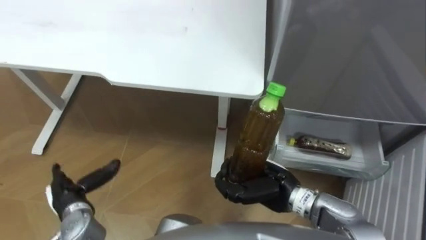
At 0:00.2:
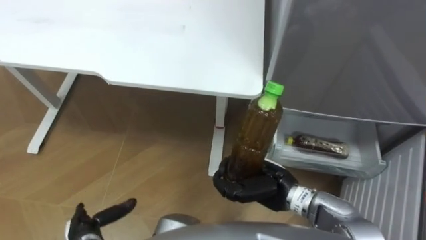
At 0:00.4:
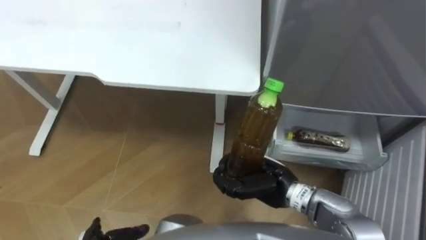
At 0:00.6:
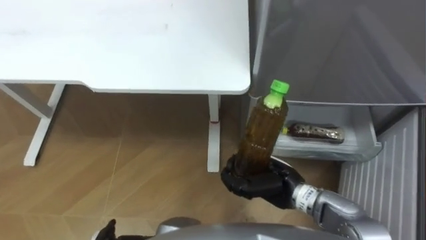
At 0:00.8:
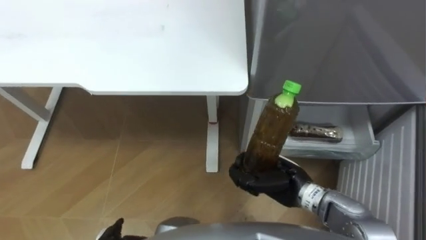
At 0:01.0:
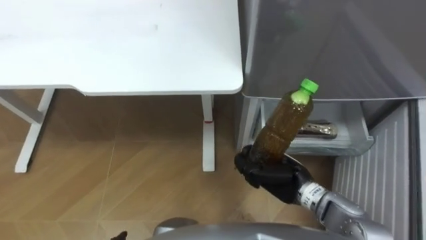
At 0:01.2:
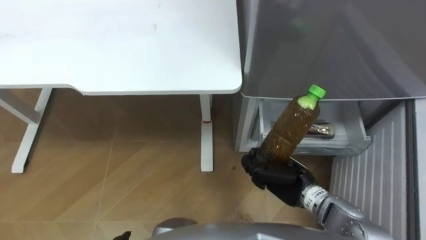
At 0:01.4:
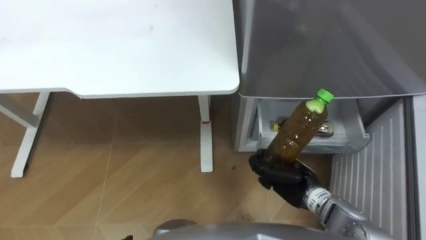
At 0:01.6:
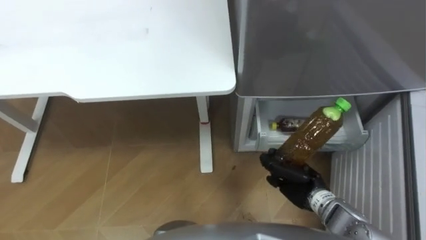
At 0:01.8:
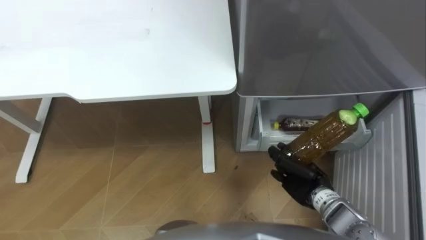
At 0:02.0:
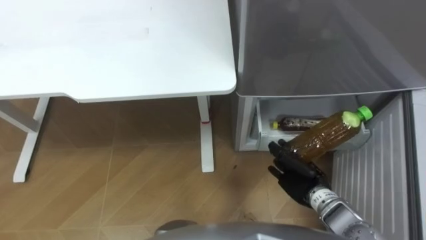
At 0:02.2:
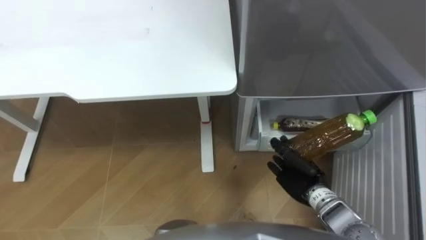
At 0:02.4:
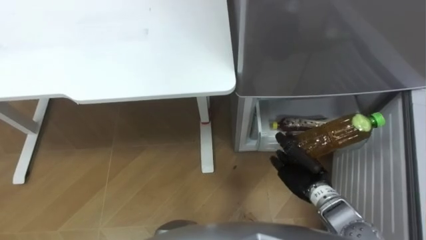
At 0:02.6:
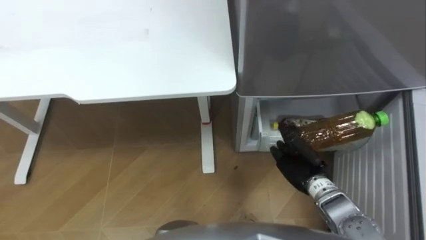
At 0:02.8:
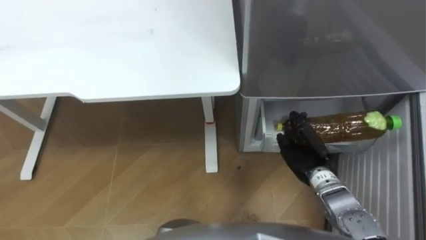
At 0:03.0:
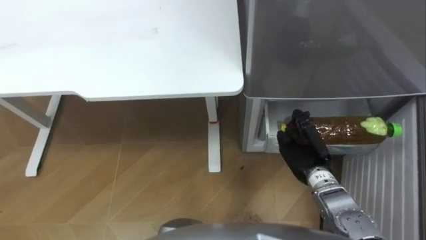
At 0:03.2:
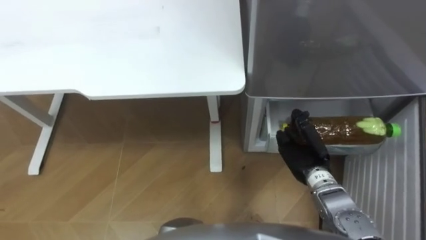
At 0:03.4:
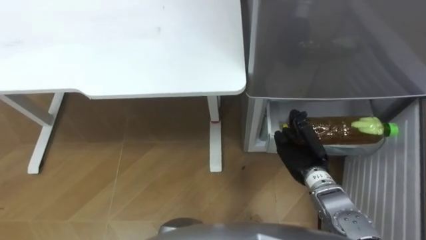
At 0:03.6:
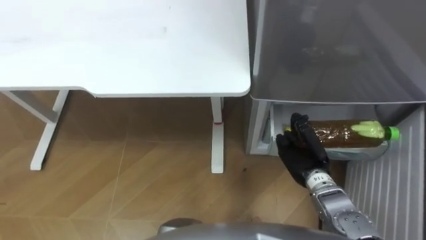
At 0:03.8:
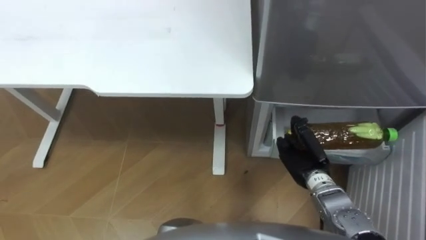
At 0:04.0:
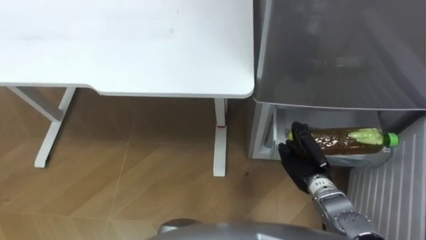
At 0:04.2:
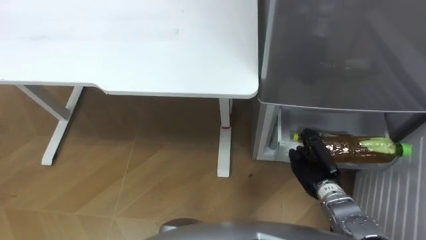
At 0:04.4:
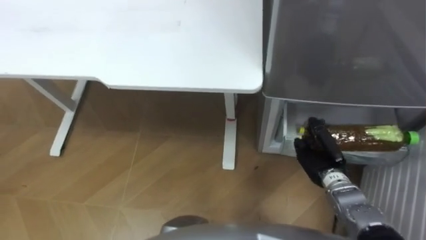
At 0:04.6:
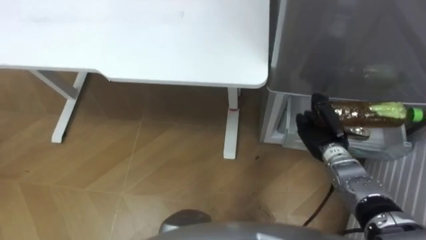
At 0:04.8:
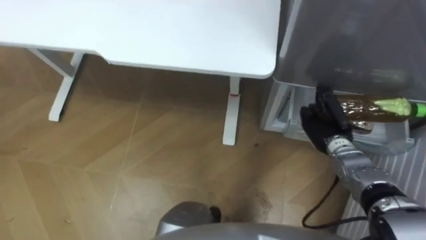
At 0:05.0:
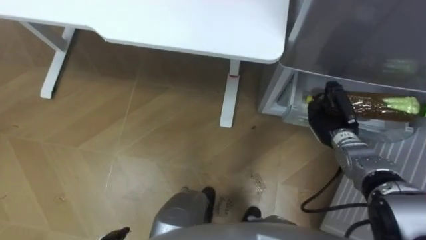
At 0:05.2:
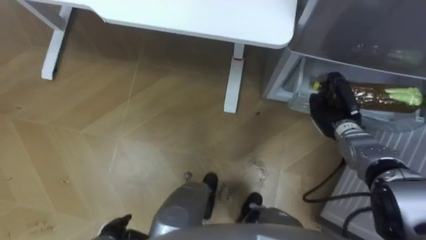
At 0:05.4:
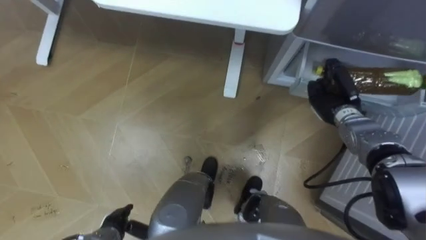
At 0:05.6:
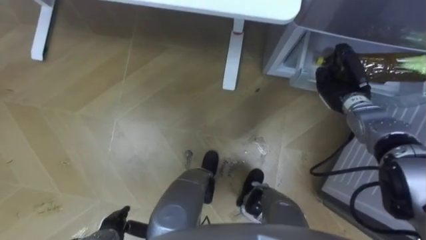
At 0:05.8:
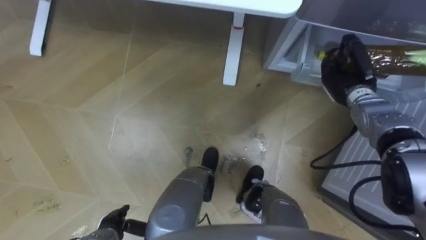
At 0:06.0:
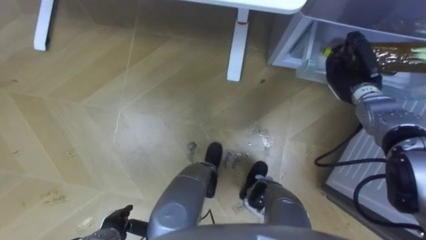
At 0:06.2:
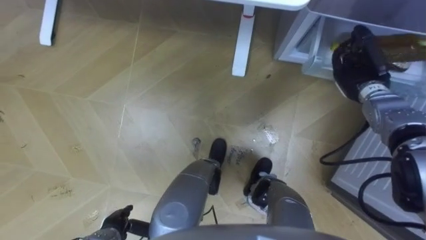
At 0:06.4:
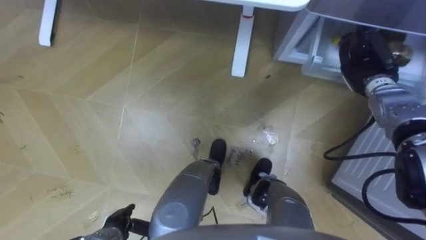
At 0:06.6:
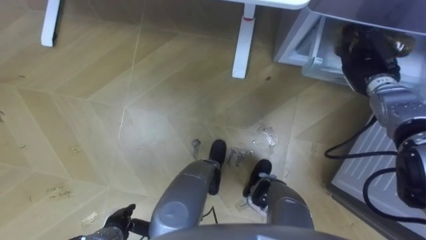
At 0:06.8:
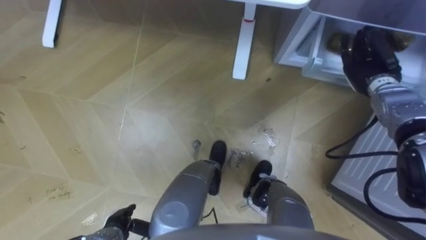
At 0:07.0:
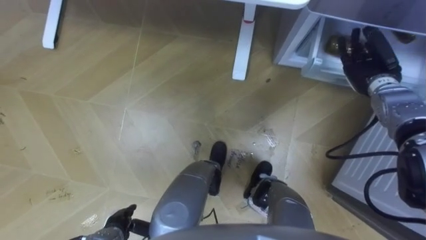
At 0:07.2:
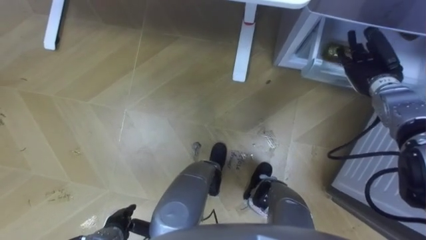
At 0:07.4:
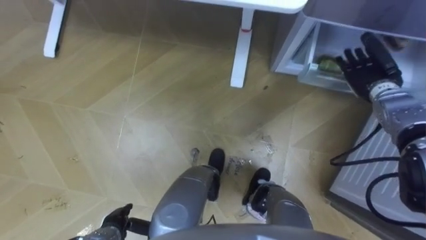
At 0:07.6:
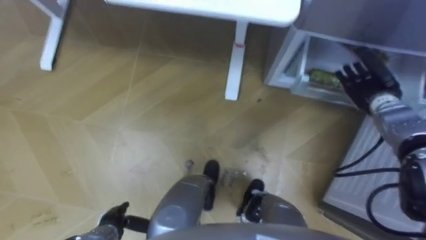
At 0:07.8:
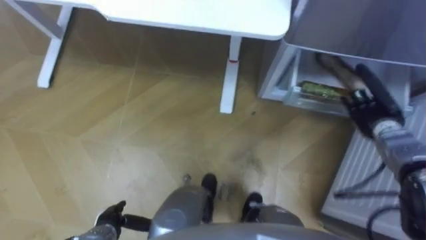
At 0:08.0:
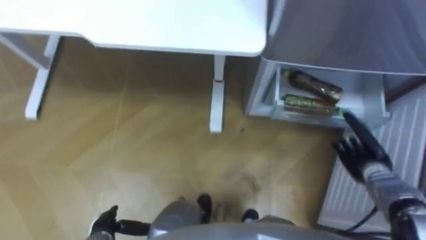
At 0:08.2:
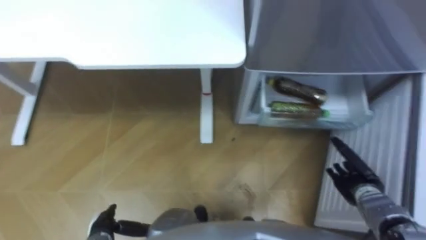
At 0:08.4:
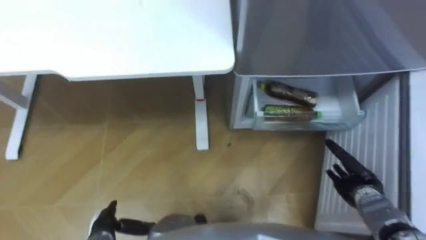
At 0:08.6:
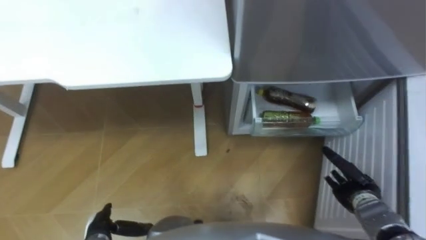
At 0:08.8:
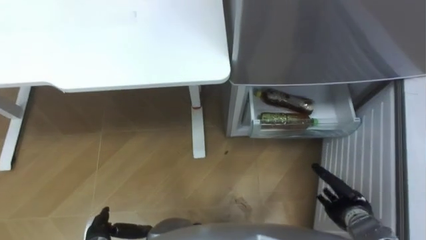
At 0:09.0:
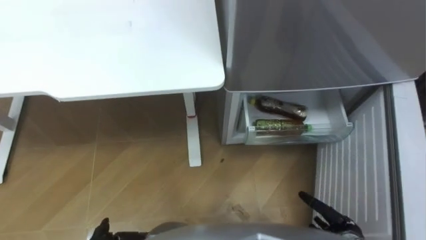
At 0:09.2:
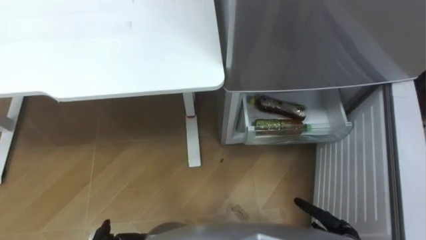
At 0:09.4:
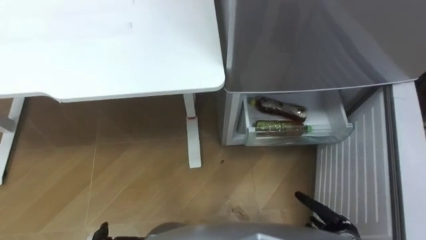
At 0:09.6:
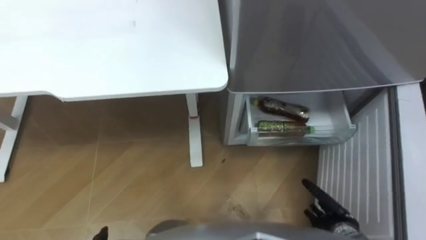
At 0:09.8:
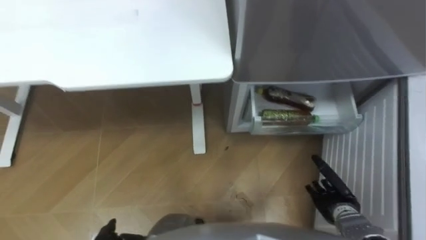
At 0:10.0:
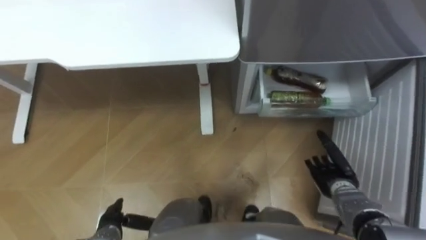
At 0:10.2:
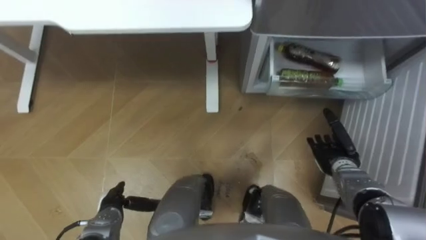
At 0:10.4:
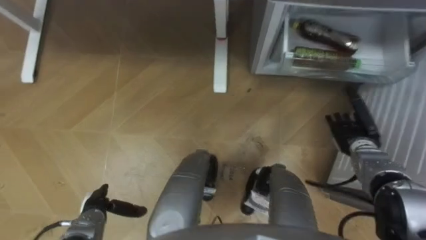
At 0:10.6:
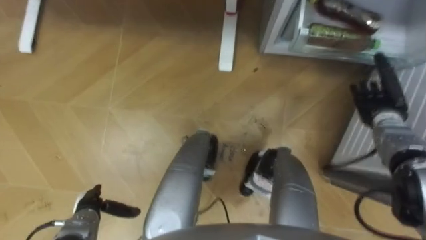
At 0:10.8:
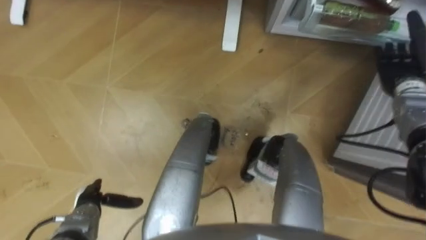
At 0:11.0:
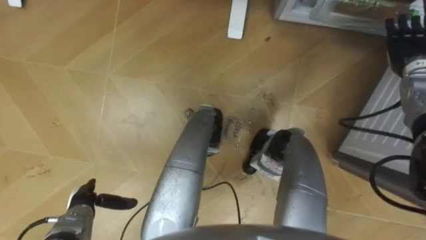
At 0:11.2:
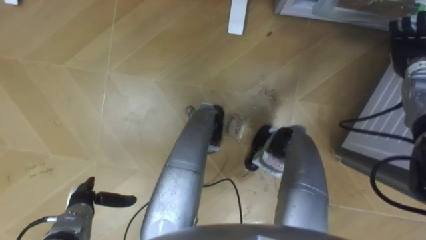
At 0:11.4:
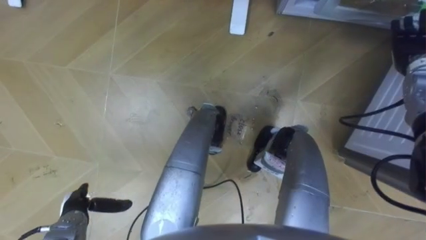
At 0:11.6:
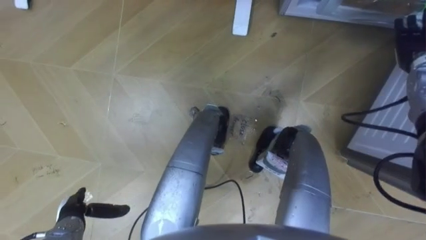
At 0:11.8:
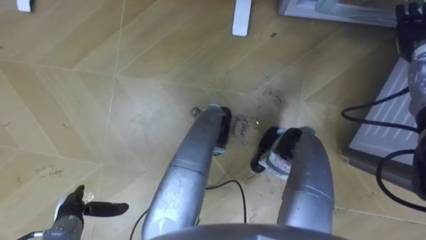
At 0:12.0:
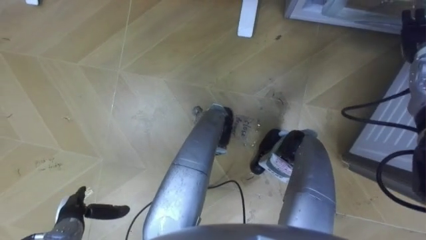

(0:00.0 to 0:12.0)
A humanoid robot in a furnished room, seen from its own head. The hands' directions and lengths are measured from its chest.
Task of the whole recording: Place the drink on the table on the bottom shelf of the refrigerator, then close the drawer and the refrigerator door.
0:00.0 - 0:01.6: The right hand shifts roughly 10 cm to the right and downward.
0:01.6 - 0:03.0: The right hand shifts by approximately 5 cm.
0:04.4 - 0:06.0: The right hand moves forward and upward, some 20 cm.
0:06.0 - 0:07.6: The right hand opens.
0:07.6 - 0:09.0: The right hand shifts some 30 cm backward and downward.
0:09.0 - 0:10.4: The right hand is displaced forward and upward by some 20 cm.
0:10.4 - 0:12.0: The right hand moves upward, forward and to the right, some 25 cm.

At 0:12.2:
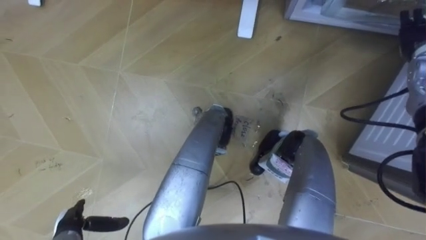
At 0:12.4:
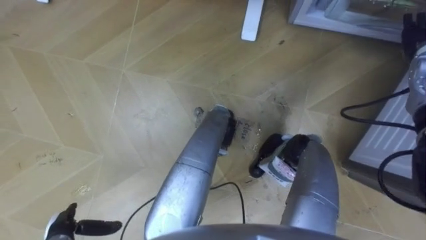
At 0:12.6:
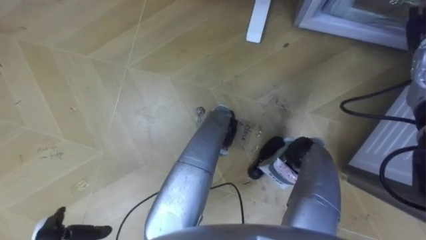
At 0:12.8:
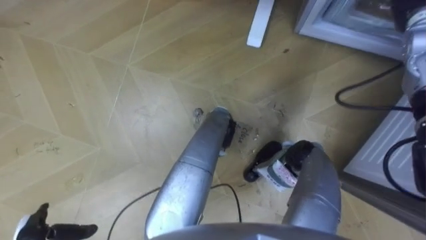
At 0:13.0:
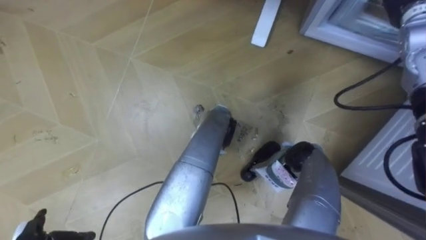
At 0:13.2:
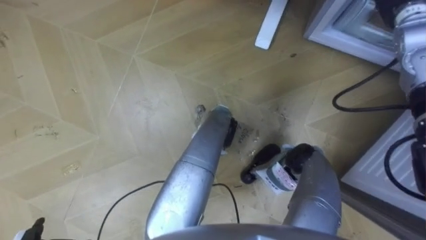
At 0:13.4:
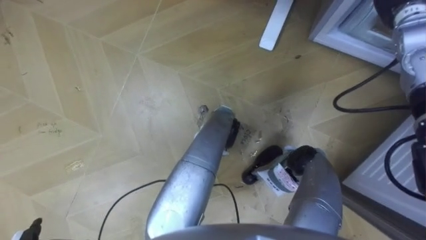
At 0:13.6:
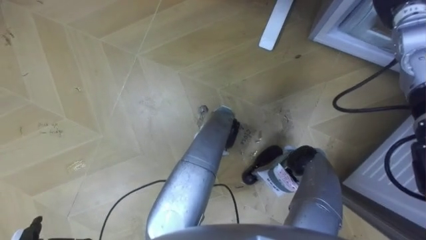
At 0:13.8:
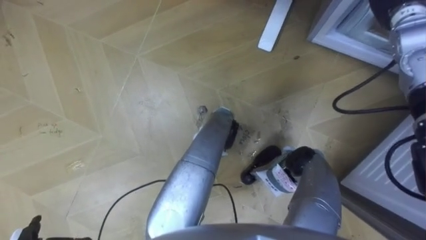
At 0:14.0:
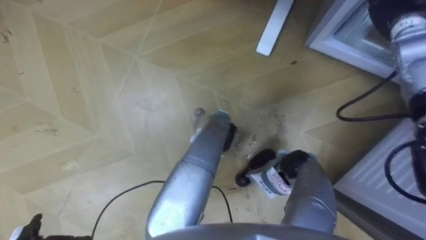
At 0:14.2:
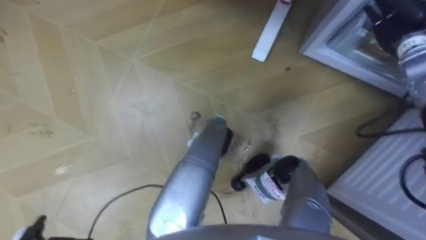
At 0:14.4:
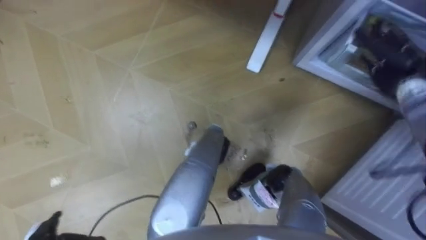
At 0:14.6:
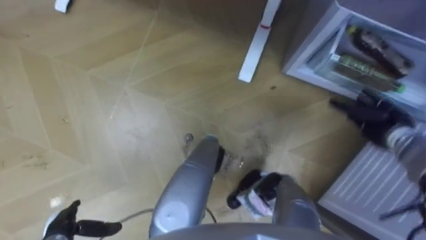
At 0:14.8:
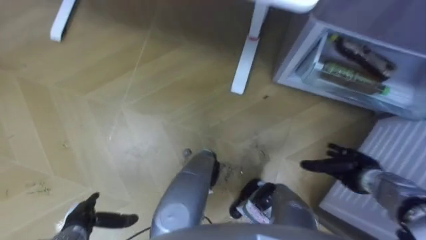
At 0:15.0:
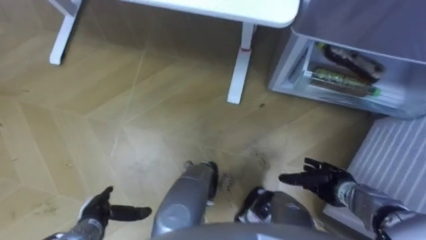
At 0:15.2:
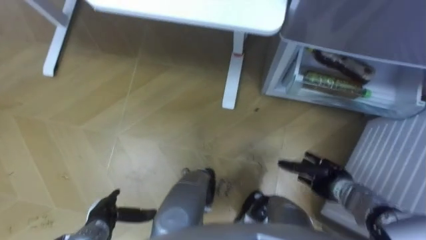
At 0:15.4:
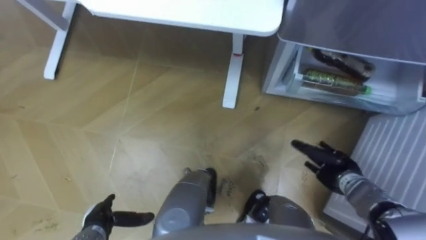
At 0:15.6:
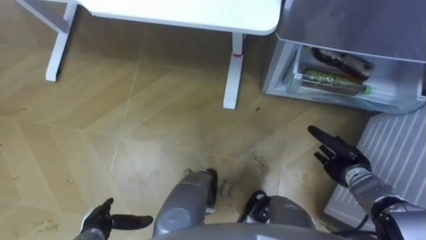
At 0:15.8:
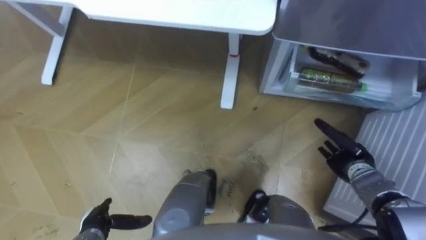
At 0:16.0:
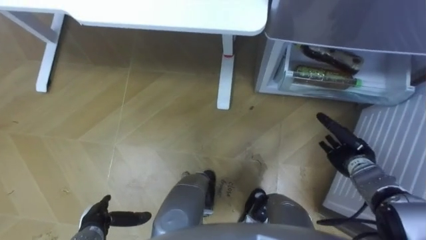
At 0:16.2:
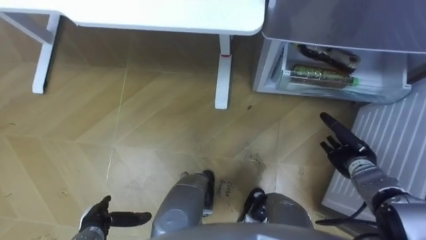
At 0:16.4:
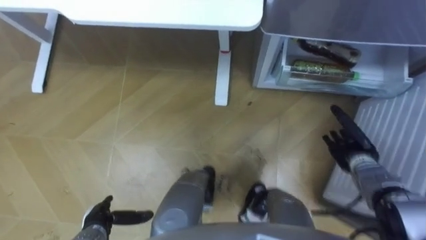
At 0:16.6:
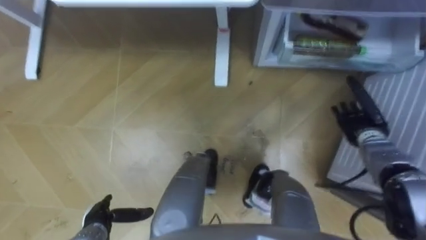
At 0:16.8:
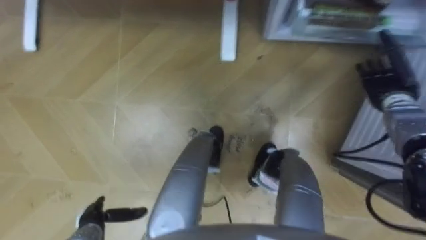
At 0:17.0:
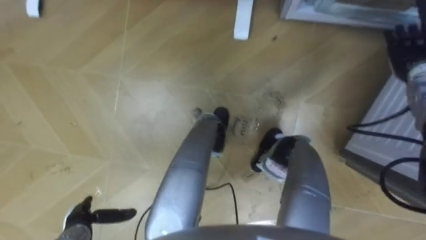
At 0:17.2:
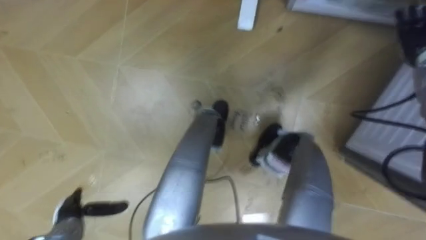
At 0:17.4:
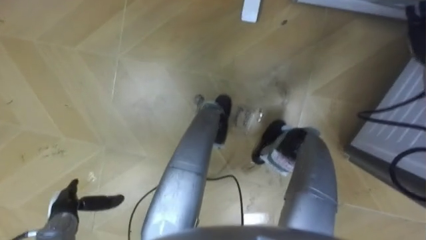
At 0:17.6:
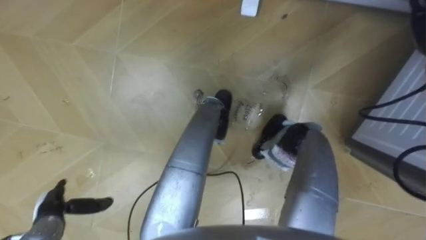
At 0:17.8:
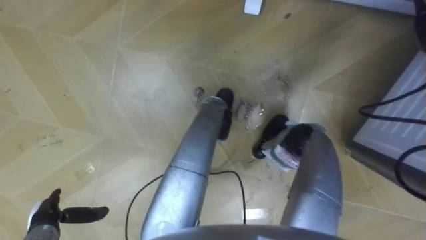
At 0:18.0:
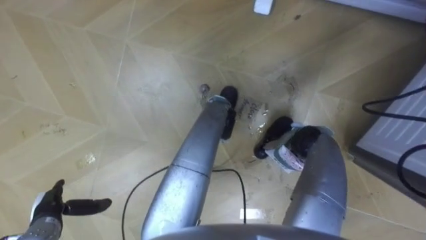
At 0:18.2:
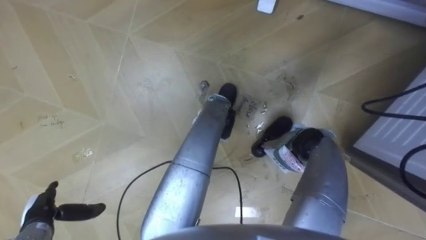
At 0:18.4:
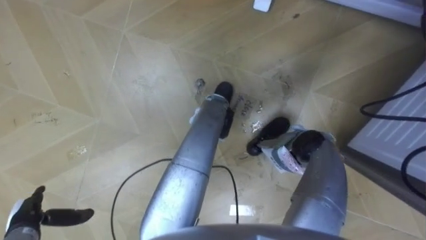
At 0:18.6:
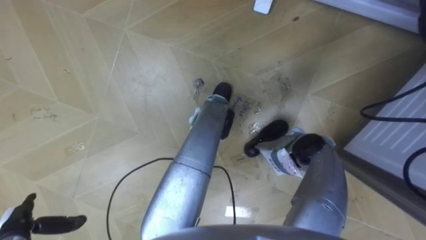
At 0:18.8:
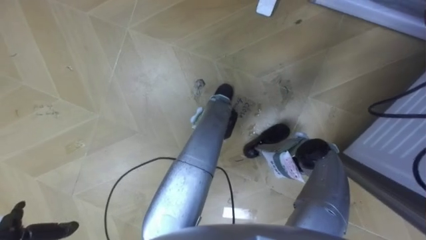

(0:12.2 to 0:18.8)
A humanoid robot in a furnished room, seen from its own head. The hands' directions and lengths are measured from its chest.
Task of the whole recording: Place the drink on the table on the bottom shelf of the refrigerator, then close the drawer and the refrigerator door.
0:15.4 - 0:17.2: The left hand shifts about 5 cm to the left, while the right hand heads upward, forward and to the right, covering some 30 cm.
